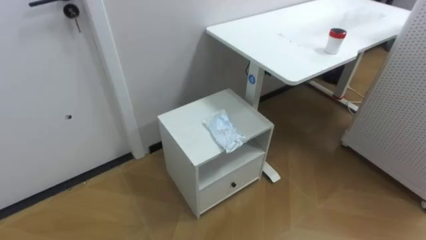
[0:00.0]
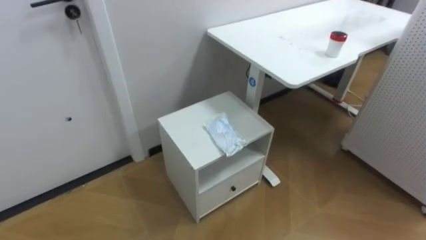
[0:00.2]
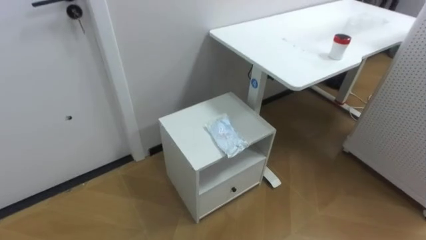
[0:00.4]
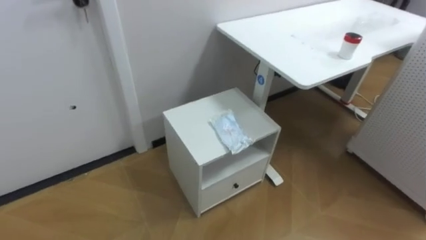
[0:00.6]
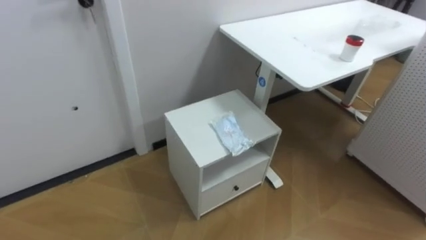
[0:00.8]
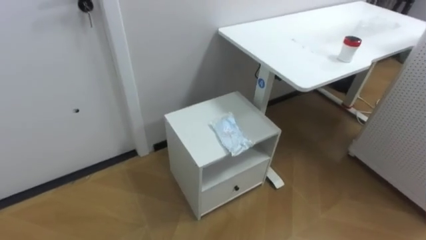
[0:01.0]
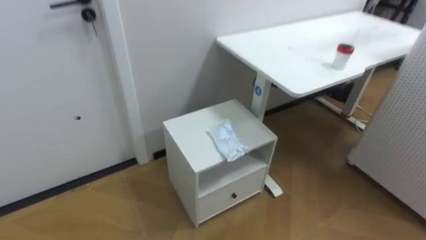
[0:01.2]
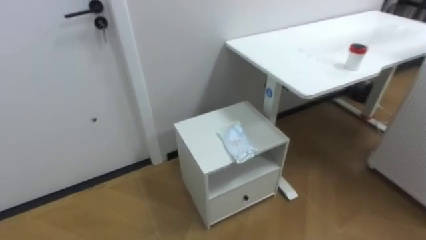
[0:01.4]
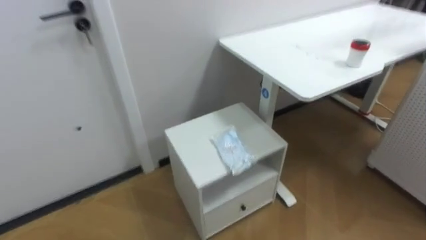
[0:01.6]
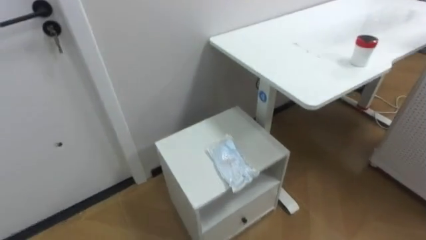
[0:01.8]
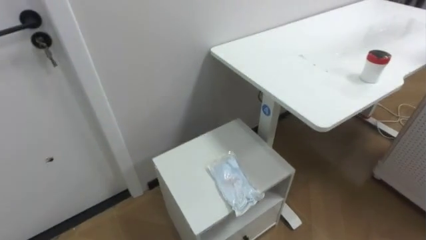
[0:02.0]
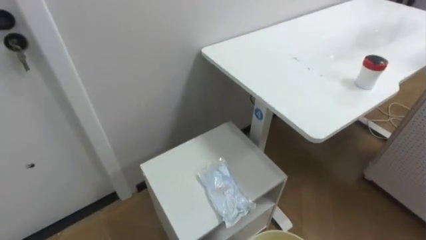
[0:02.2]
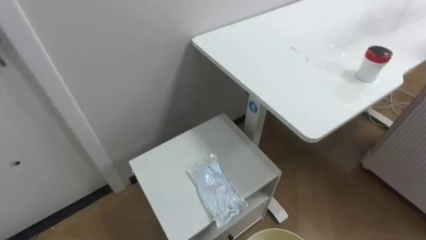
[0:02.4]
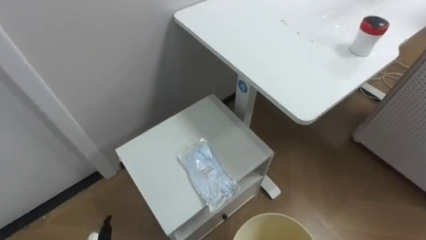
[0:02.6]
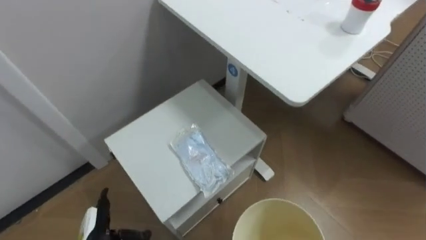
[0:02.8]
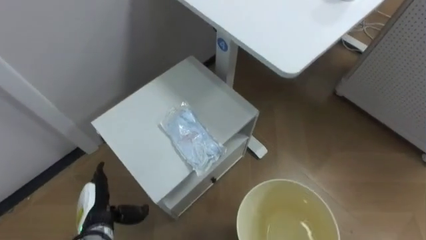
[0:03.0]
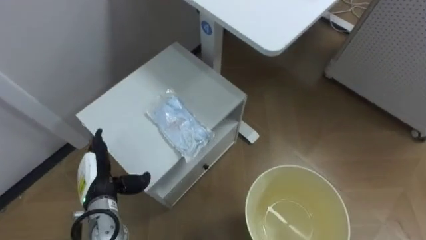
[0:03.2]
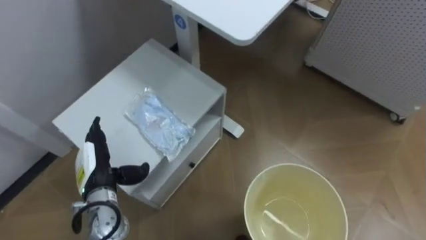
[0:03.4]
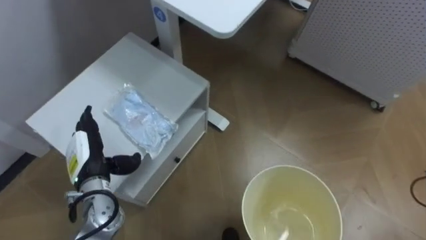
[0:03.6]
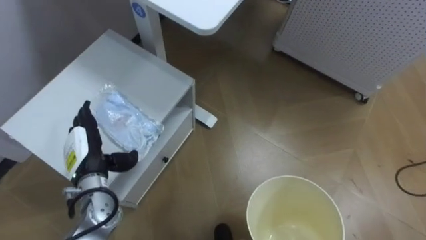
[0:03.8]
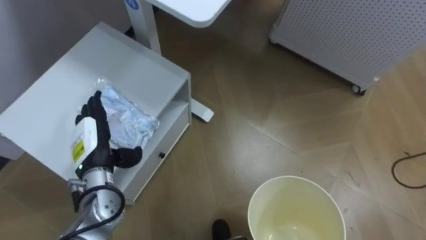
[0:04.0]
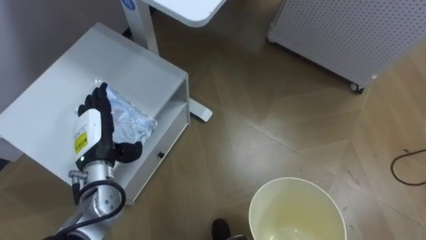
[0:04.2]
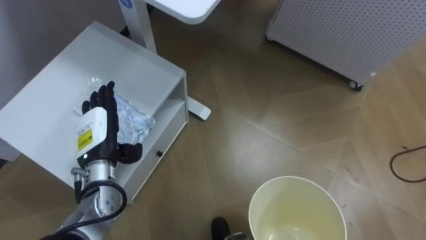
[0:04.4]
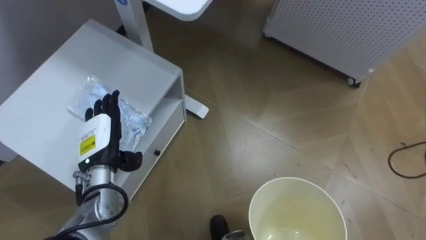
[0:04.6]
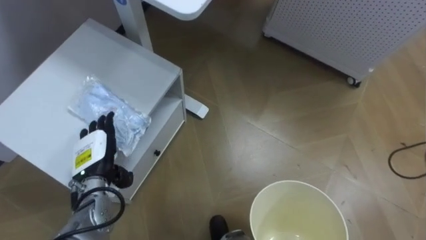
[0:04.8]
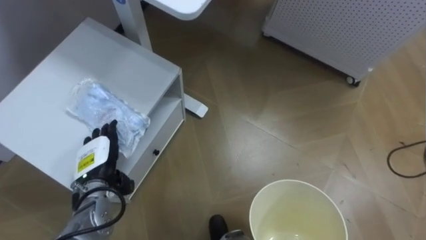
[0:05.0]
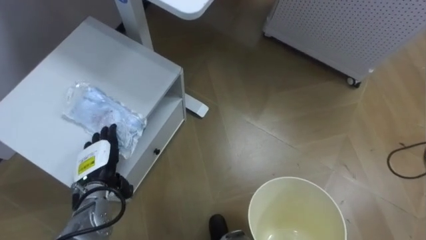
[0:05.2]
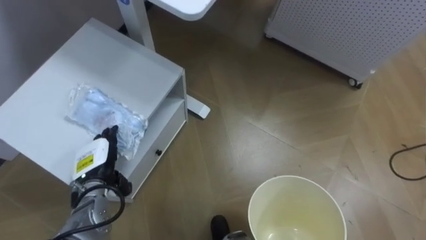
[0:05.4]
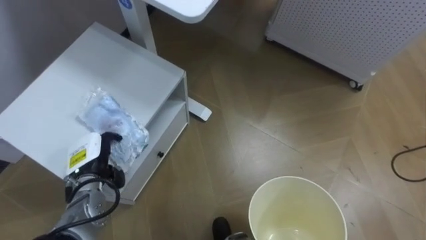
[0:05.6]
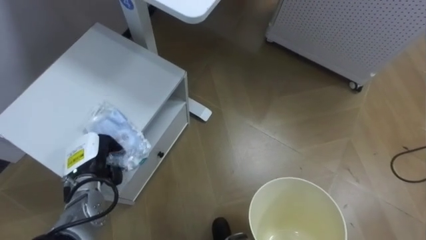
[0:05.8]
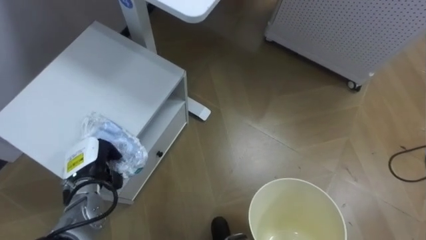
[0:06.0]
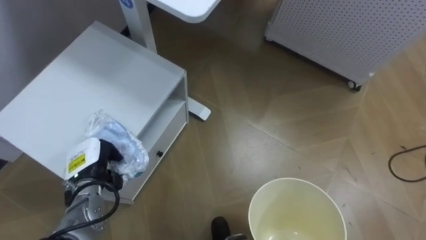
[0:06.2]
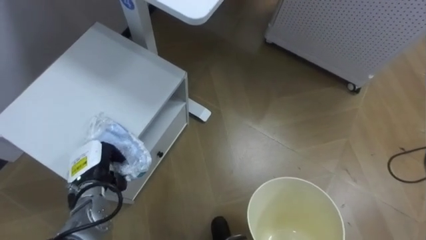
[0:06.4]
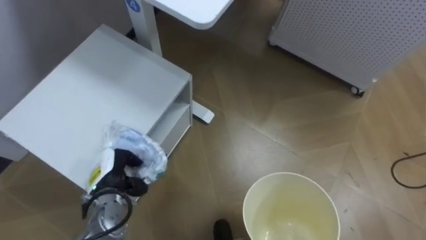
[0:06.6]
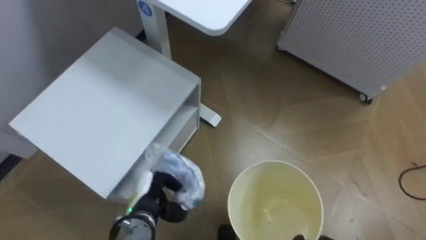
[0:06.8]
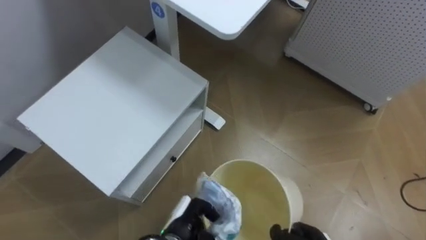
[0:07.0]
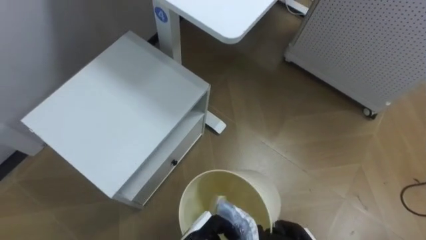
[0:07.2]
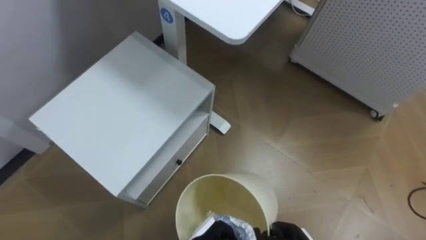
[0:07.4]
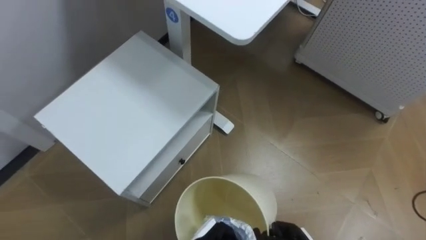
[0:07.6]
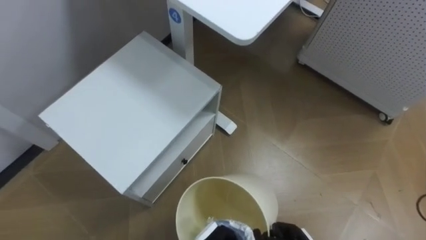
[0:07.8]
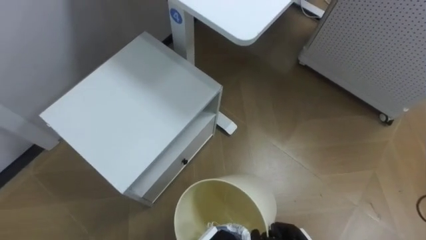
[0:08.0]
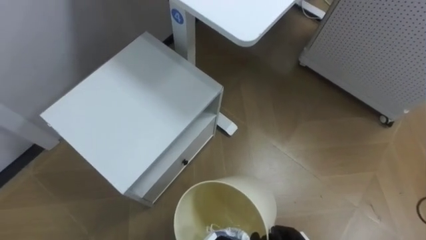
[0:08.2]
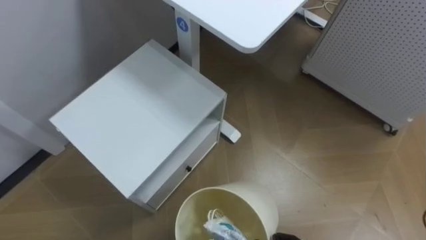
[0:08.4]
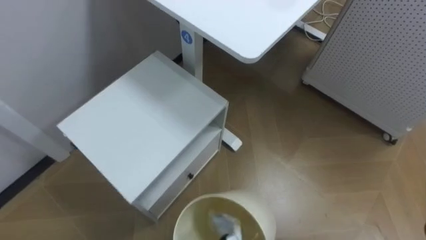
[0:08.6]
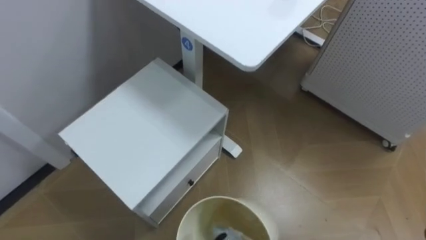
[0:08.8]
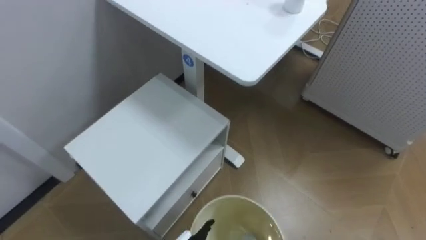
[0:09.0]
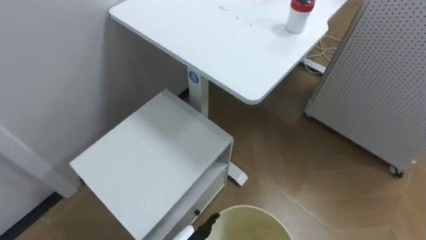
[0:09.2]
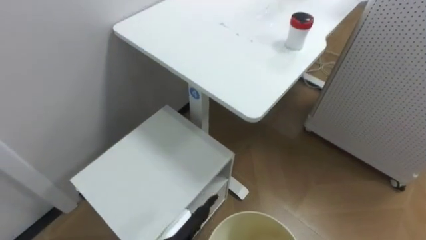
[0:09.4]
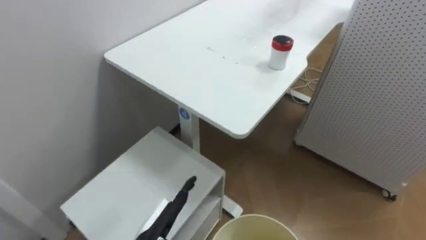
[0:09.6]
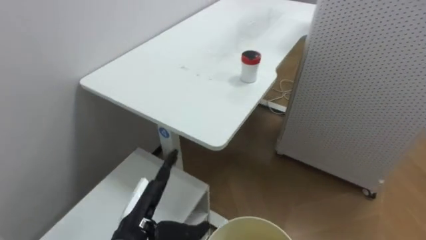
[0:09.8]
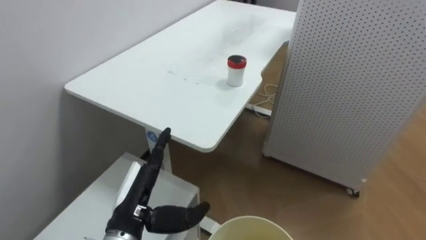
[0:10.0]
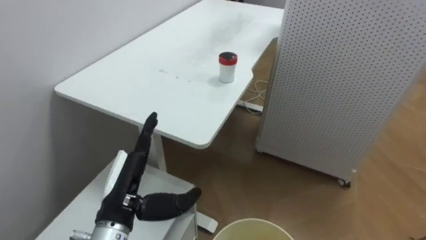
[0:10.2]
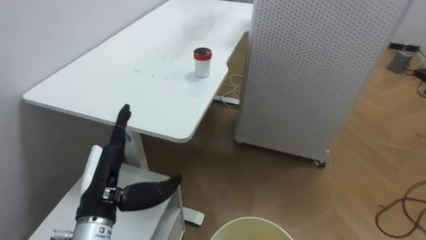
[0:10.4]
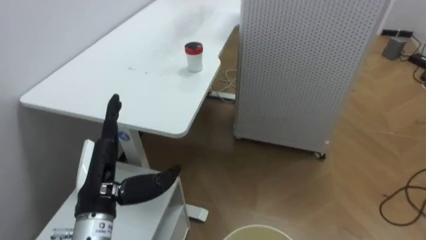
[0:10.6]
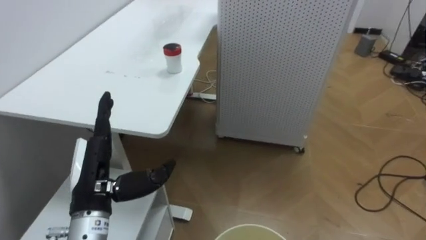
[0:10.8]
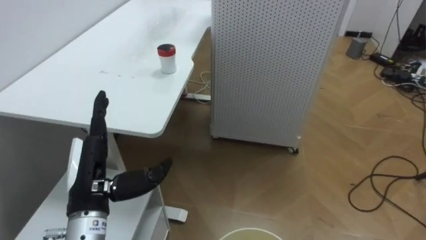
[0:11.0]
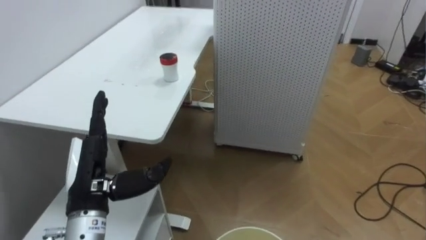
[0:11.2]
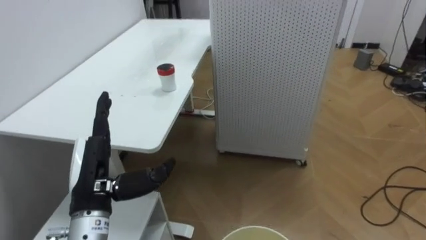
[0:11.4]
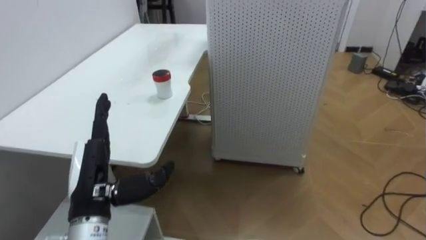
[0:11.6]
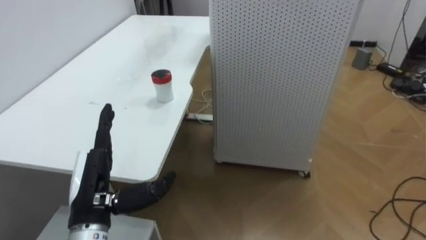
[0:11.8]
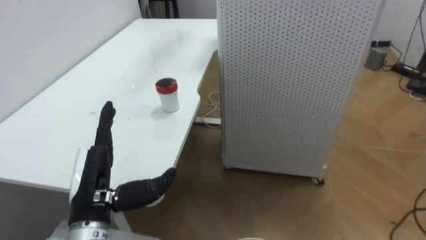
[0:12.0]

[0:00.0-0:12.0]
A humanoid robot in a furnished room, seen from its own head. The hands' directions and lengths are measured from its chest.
Task of the whole recording: Pick up the light blue package, the candy box, and the dark blue package separately, and put them into the trash can held in your right hand.
0:03.0 to 0:04.4: The left hand goes some 15 cm upward and forward.
0:04.4 to 0:06.0: The left hand shifts about 5 cm downward, and closes up.
0:09.0 to 0:10.4: The robot faces about 25 degrees further to its right.

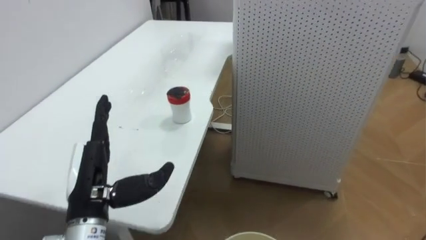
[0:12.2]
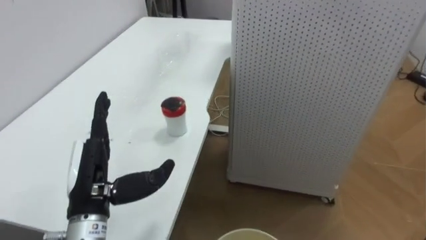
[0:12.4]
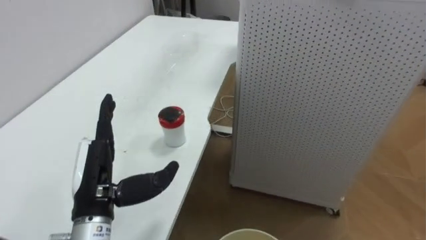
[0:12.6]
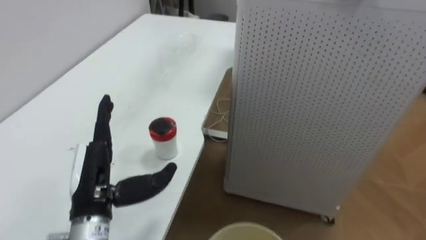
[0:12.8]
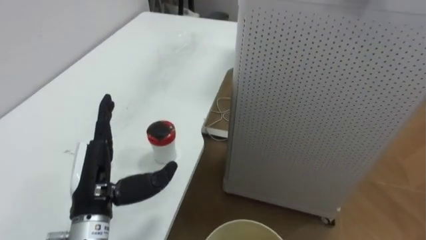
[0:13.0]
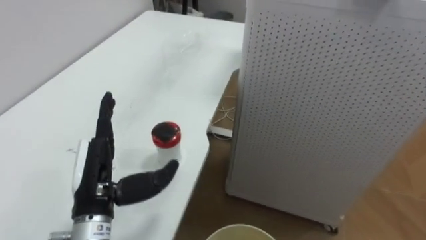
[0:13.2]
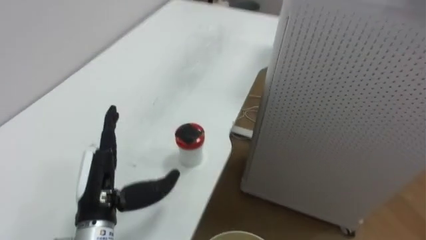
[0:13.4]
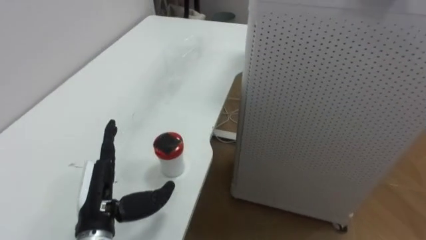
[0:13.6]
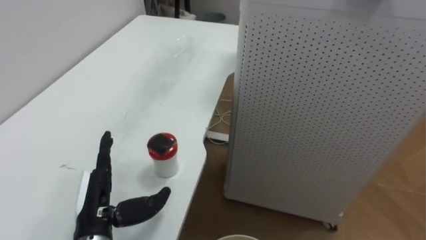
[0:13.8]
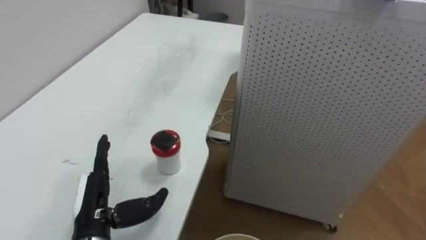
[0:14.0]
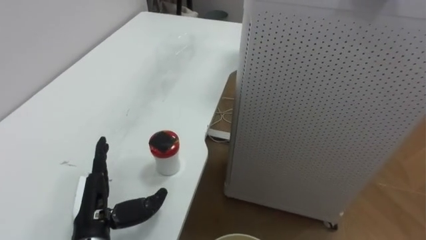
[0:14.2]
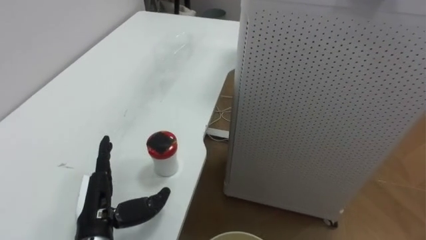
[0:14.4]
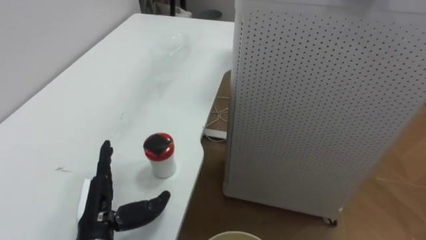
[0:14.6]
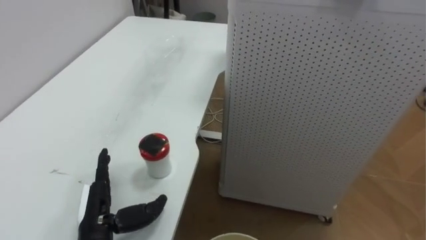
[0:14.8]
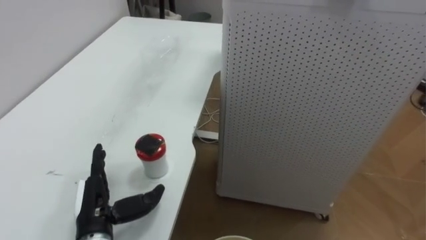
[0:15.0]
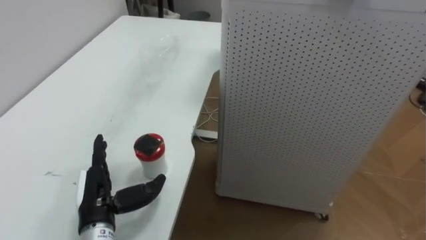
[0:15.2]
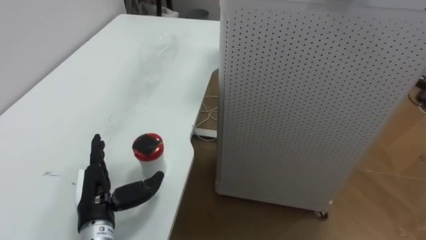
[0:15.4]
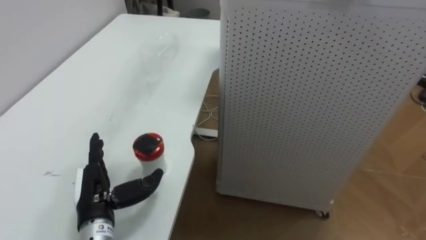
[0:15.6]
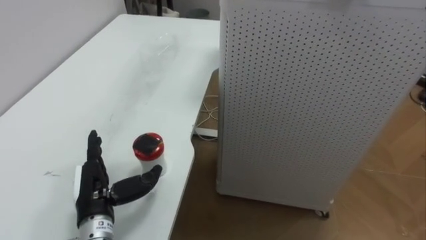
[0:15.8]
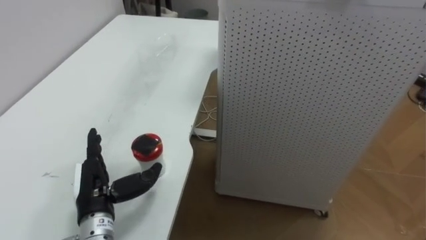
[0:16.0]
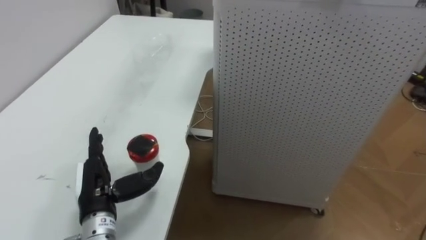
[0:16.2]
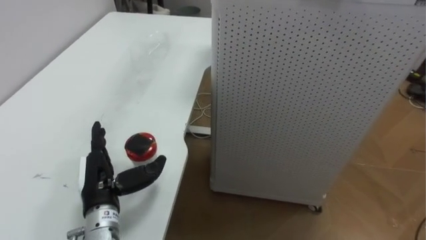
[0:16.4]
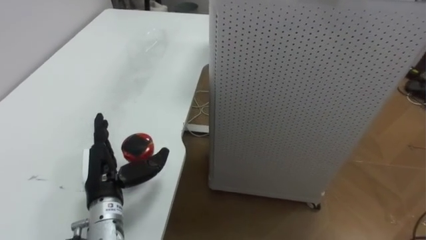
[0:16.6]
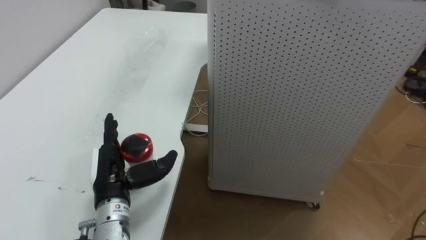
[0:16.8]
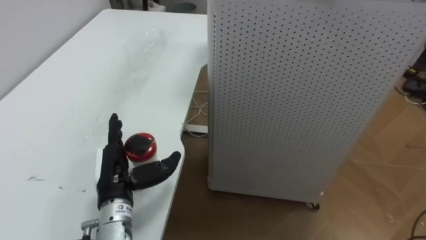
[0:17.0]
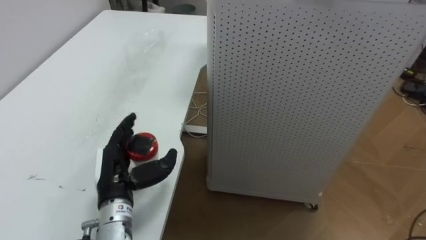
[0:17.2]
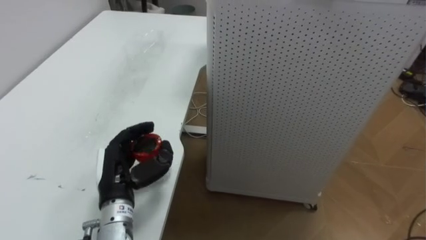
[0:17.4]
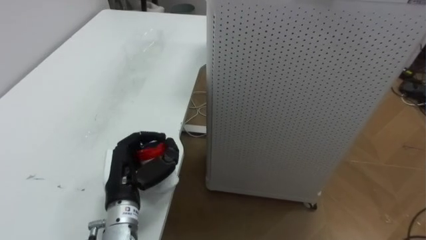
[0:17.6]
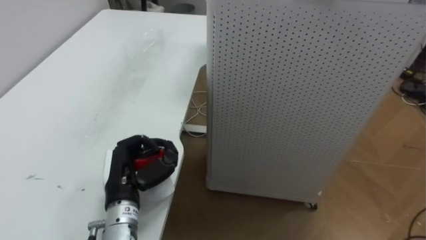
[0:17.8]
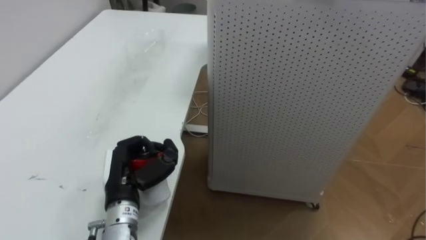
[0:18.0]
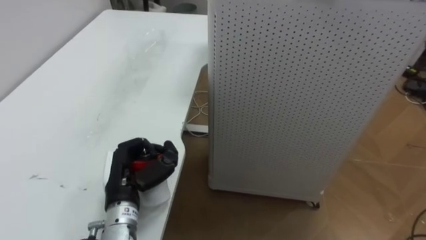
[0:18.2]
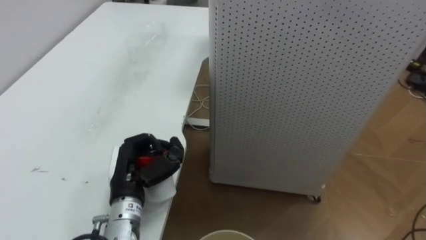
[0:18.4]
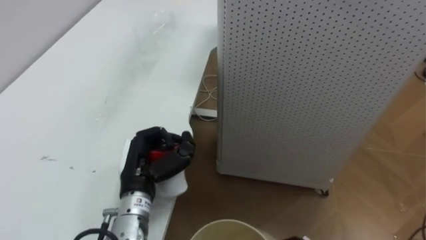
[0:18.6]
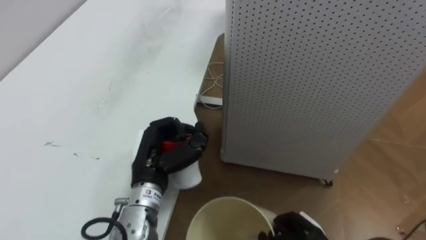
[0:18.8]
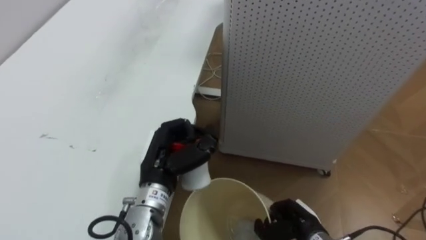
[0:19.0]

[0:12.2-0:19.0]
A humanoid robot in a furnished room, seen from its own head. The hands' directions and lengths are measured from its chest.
Task of the whole recording: Pick up the light blue package, the candy box, and the dark blue package separately, and put them into the trash can held in your right hand.
0:13.6 to 0:15.0: The left hand ends up approximately 5 cm from where it was.
0:16.2 to 0:17.6: The left hand moves some 5 cm, and closes its fingers.
0:17.6 to 0:19.0: The left hand moves to the right, about 5 cm.
